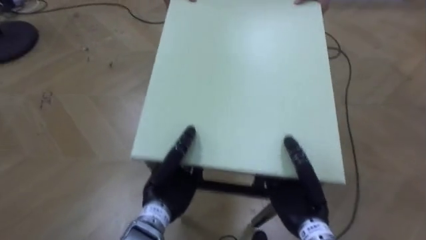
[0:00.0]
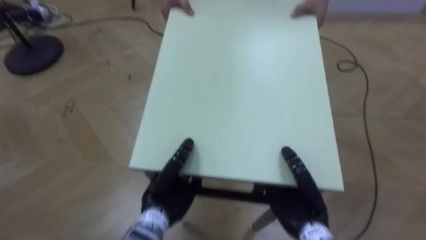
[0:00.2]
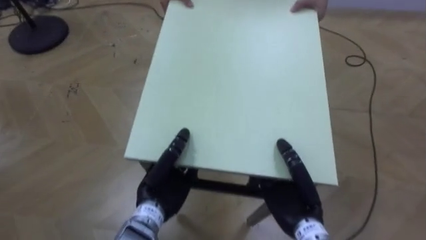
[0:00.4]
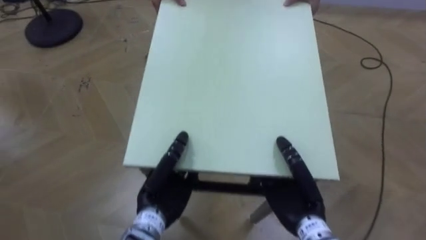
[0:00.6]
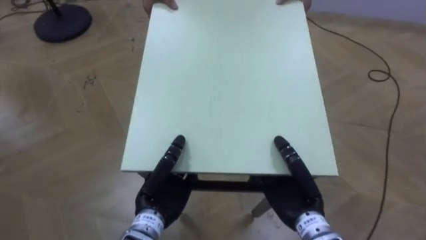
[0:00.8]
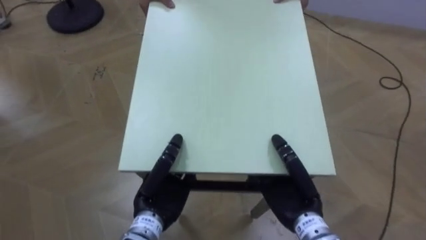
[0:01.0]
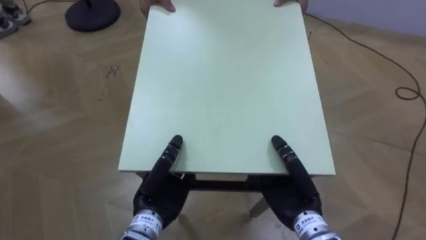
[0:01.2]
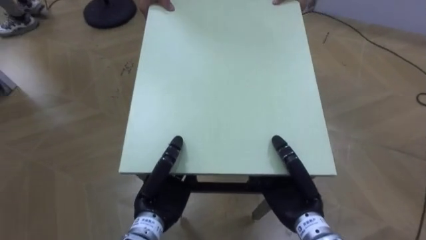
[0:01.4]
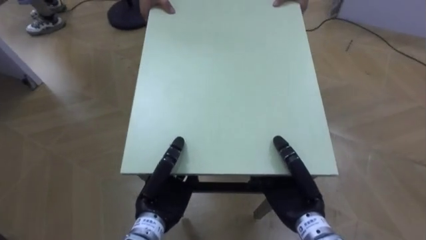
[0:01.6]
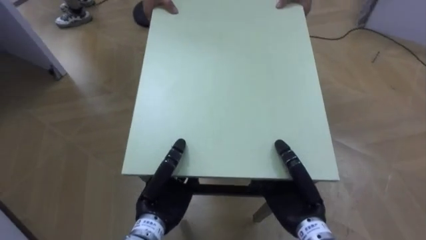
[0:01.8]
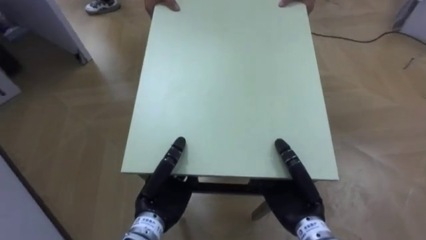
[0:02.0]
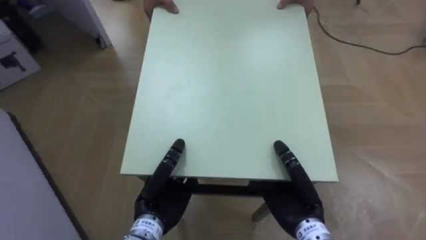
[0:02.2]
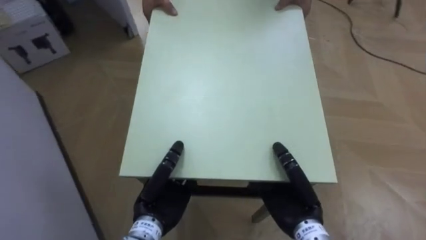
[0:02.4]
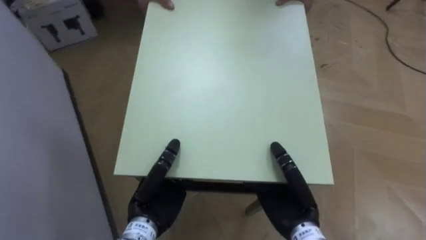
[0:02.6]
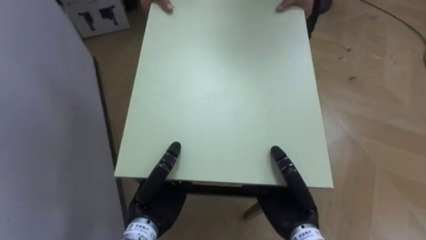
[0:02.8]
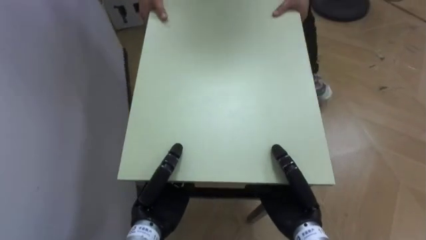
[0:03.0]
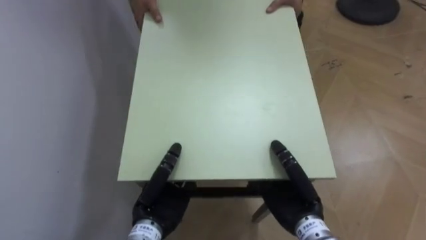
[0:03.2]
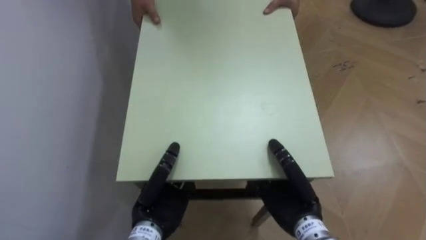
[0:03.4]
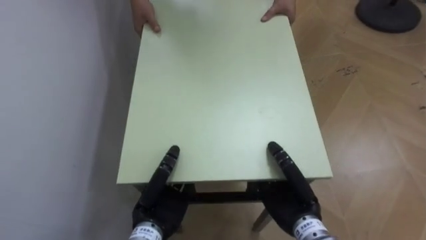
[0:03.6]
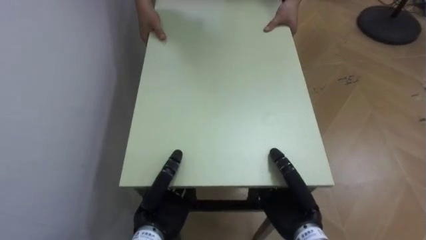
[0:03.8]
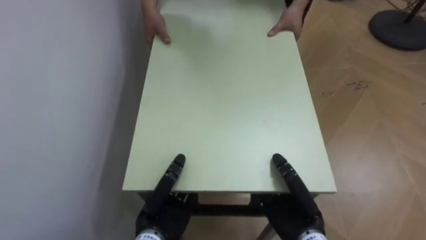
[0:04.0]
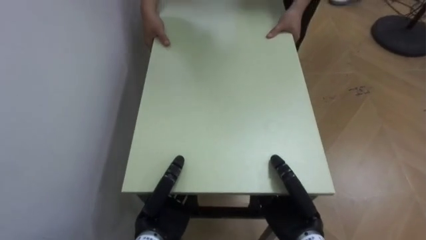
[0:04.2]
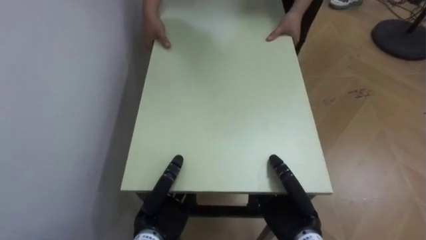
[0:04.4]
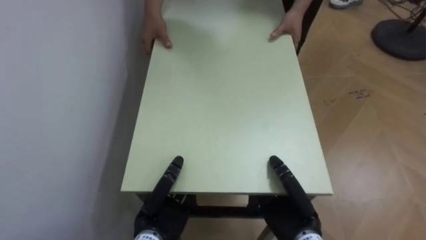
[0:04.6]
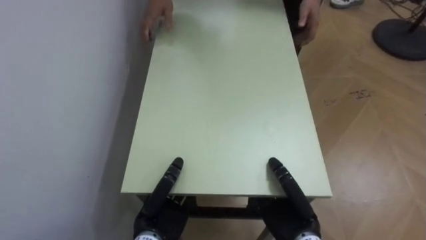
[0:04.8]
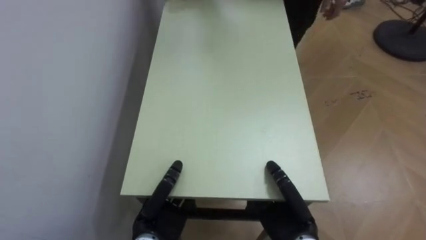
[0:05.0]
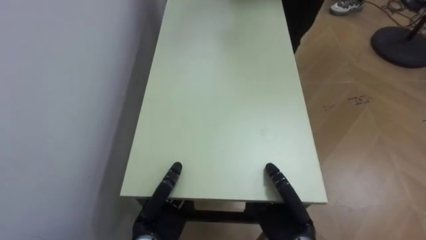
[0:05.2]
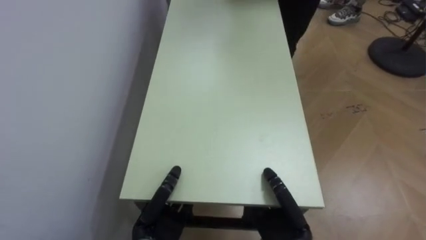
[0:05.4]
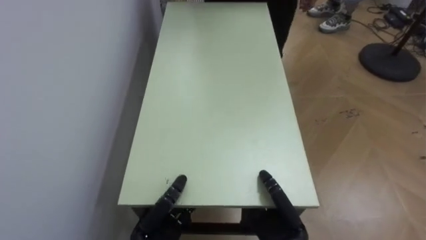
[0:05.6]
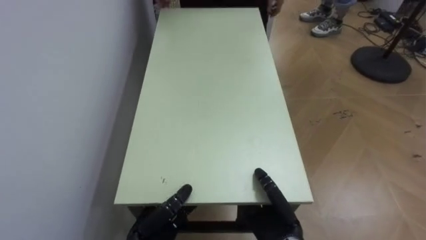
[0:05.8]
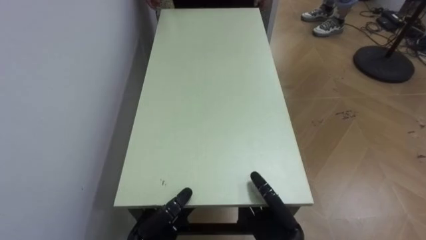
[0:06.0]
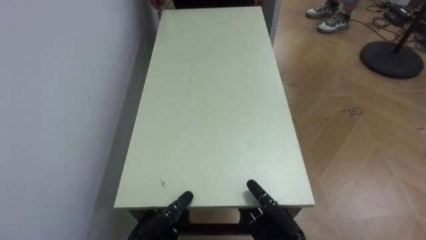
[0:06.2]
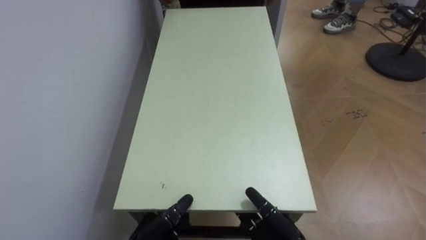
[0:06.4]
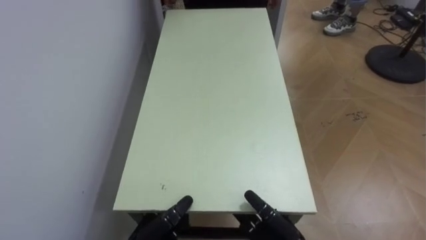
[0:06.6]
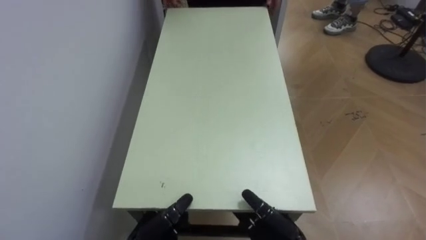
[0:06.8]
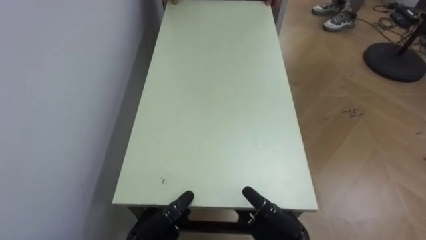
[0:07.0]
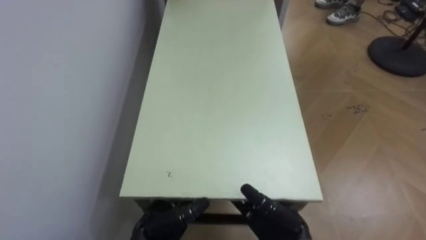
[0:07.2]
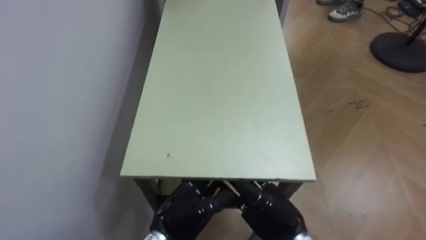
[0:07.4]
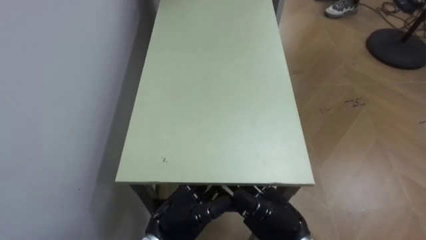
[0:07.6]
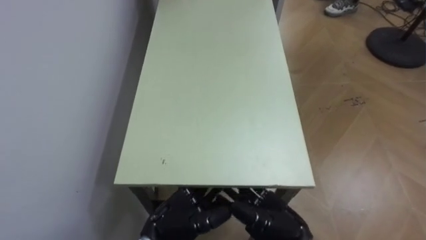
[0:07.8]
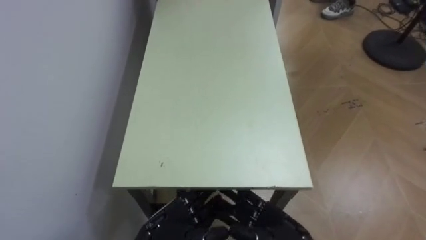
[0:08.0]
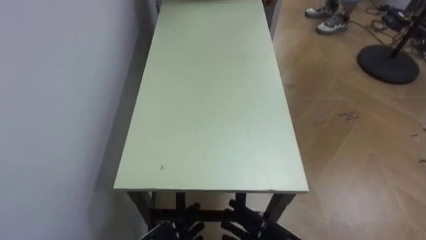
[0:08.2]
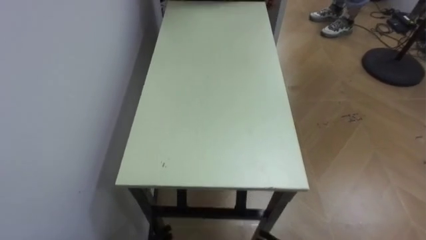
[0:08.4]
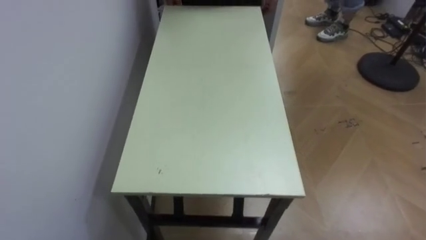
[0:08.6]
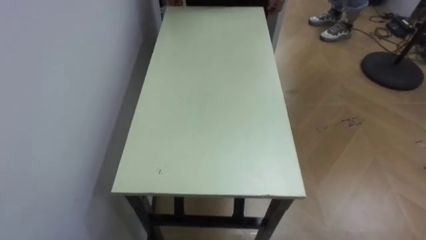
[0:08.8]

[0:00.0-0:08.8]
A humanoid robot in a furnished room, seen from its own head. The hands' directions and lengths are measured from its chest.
Task of the whole recording: Move the table to the back left with someone.
0:01.4 to 0:03.0: The robot turns to its left by about 50 degrees.
0:03.0 to 0:04.4: The robot rotates approximately 15 degrees to its left.
0:04.4 to 0:05.8: The left hand moves downward, approximately 5 cm, and opens.
0:05.8 to 0:07.4: The right hand opens its fingers; the left hand travels upward and to the right by about 10 cm, and opens its fingers.

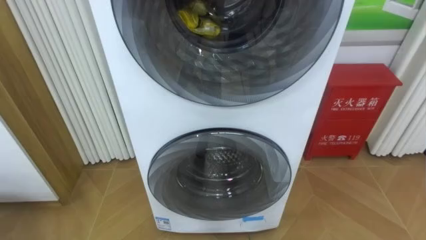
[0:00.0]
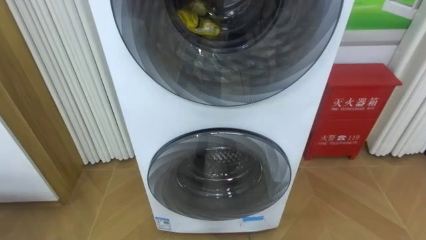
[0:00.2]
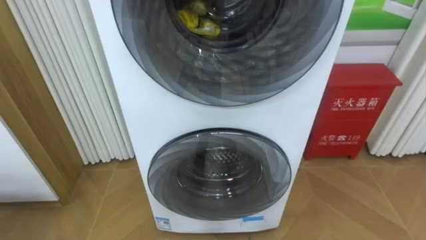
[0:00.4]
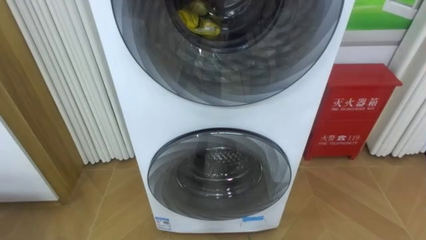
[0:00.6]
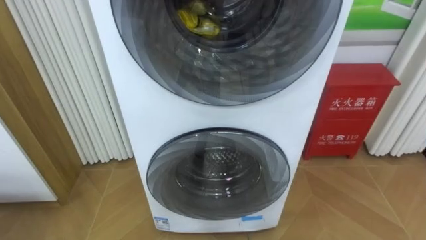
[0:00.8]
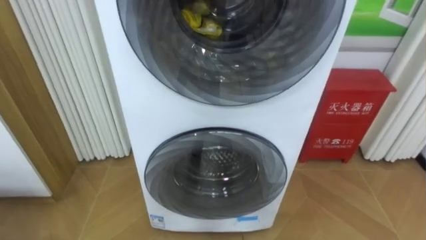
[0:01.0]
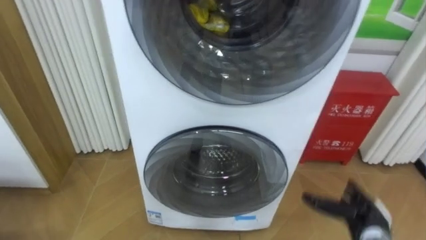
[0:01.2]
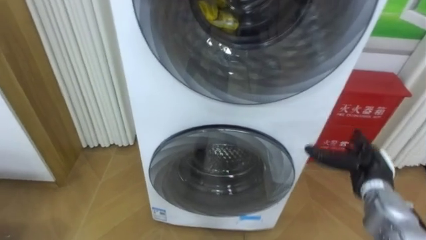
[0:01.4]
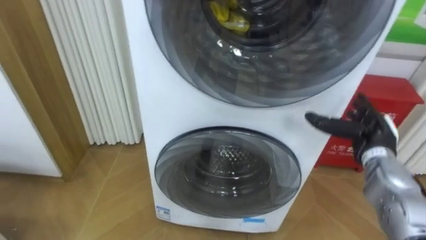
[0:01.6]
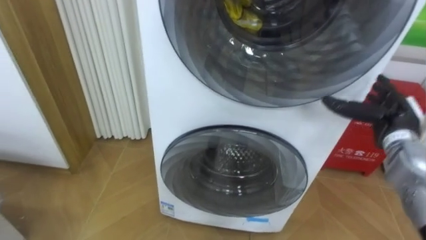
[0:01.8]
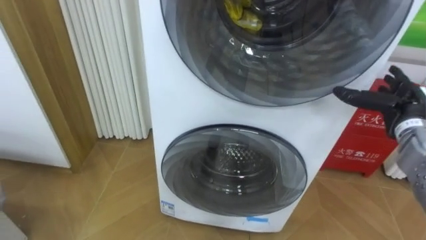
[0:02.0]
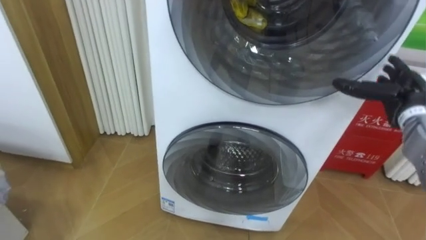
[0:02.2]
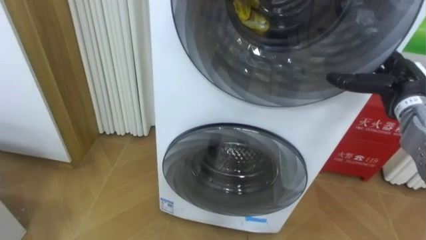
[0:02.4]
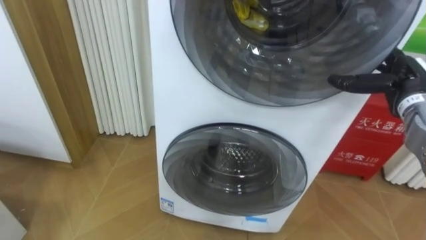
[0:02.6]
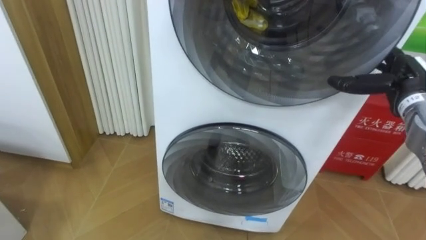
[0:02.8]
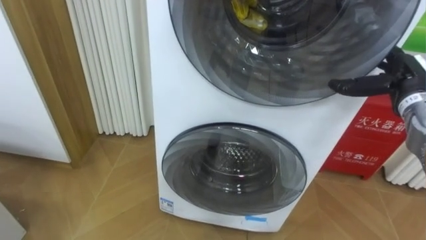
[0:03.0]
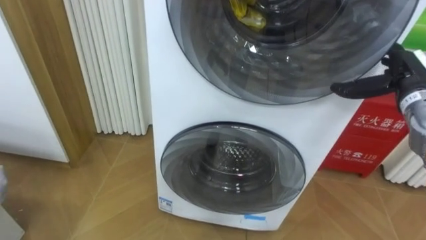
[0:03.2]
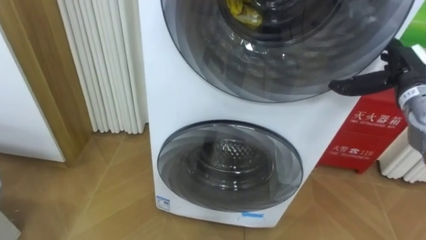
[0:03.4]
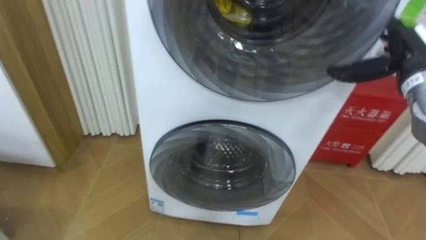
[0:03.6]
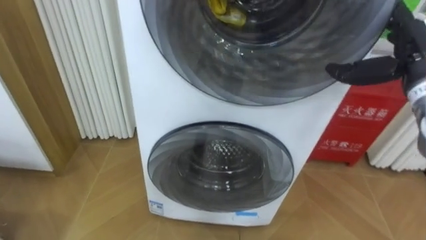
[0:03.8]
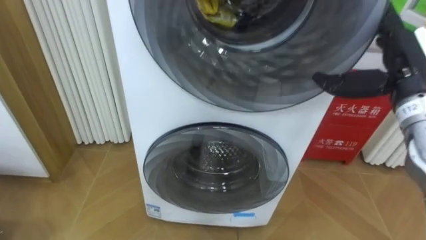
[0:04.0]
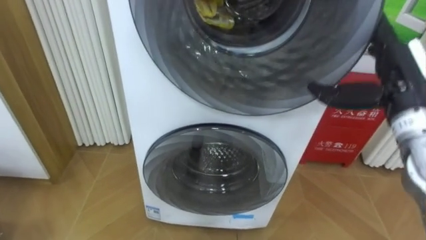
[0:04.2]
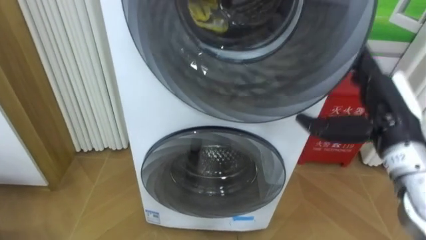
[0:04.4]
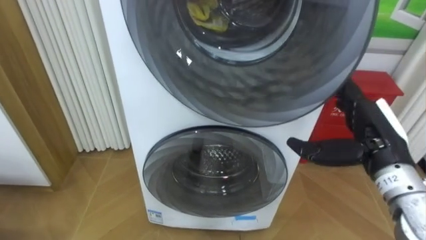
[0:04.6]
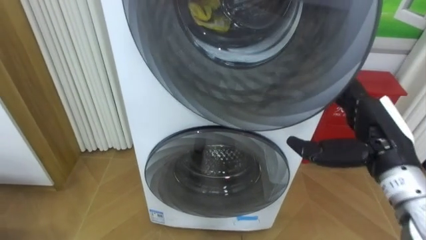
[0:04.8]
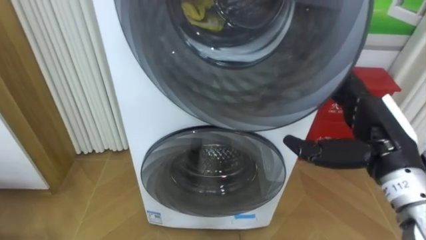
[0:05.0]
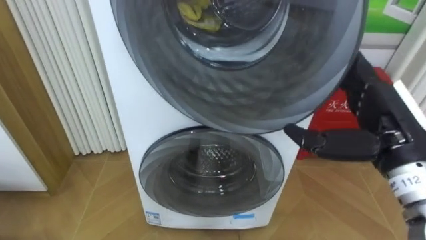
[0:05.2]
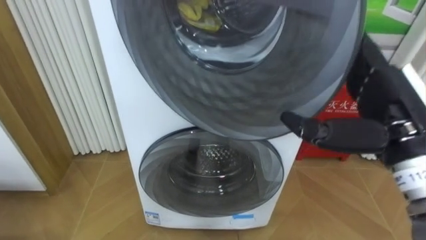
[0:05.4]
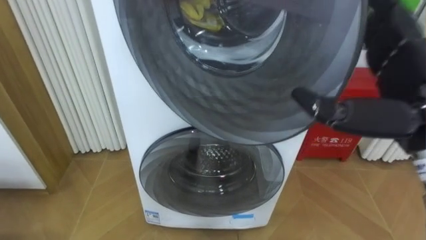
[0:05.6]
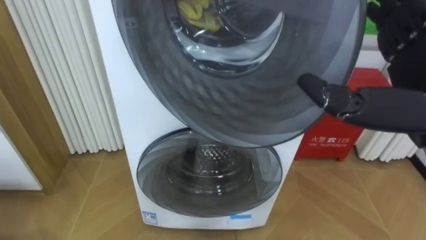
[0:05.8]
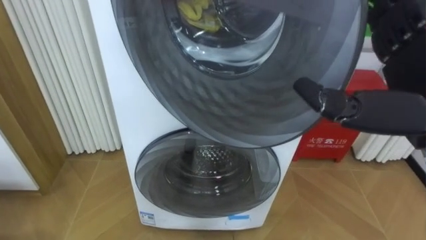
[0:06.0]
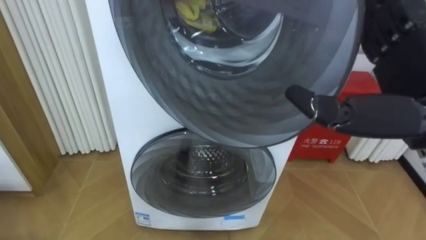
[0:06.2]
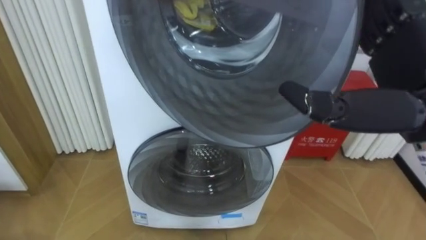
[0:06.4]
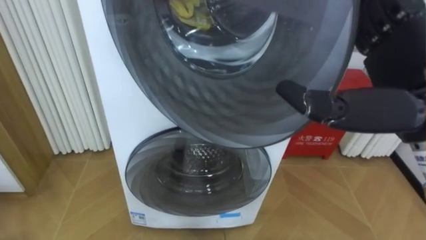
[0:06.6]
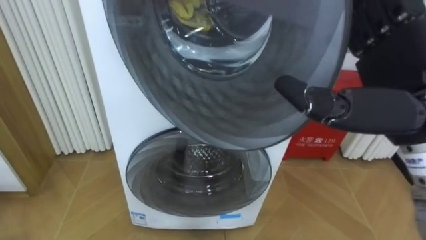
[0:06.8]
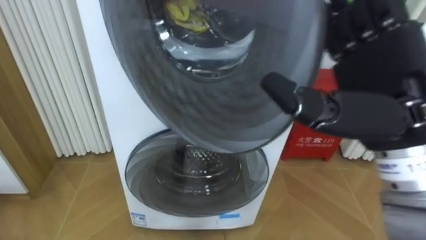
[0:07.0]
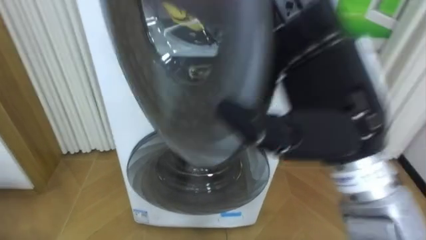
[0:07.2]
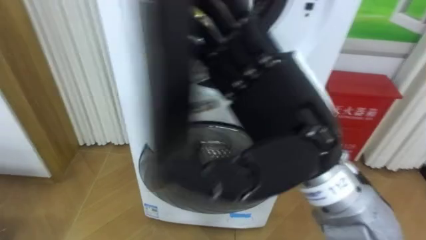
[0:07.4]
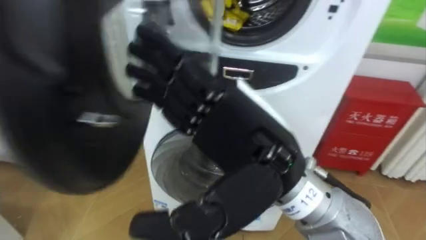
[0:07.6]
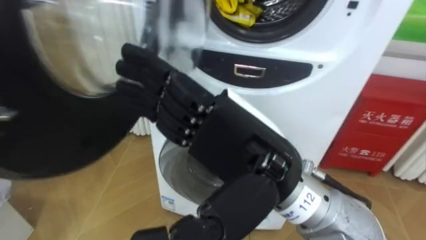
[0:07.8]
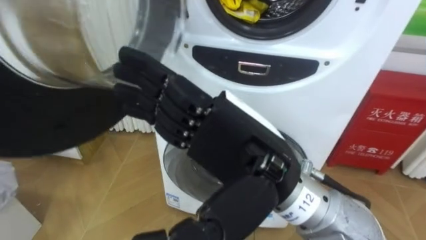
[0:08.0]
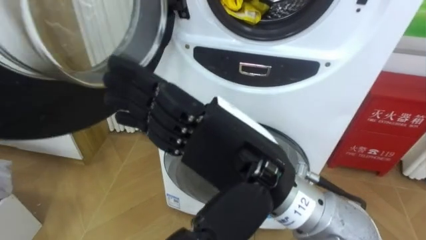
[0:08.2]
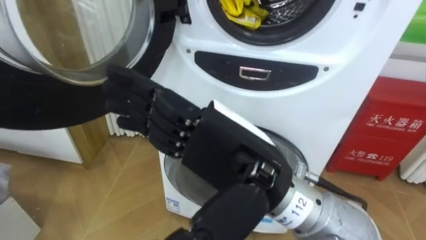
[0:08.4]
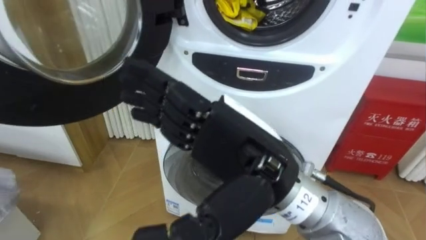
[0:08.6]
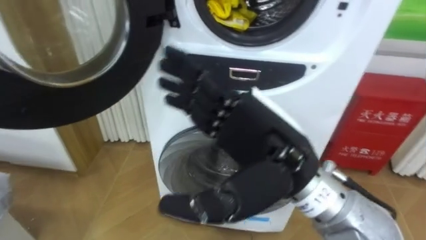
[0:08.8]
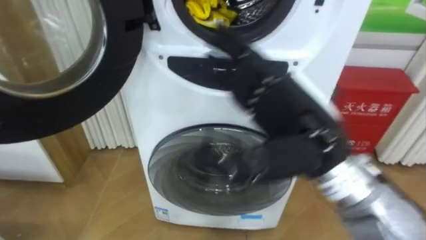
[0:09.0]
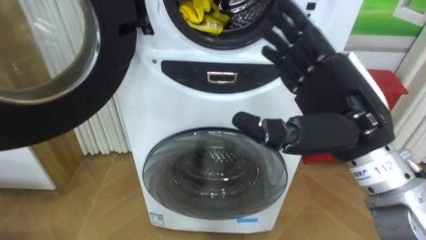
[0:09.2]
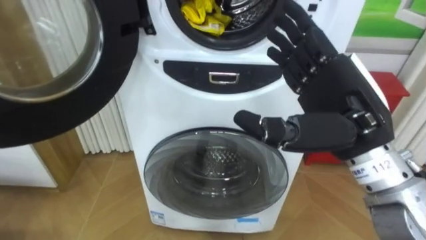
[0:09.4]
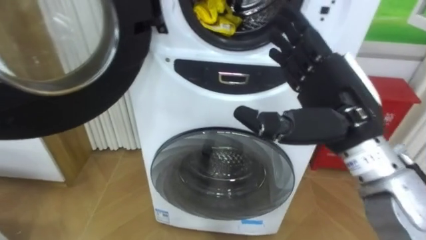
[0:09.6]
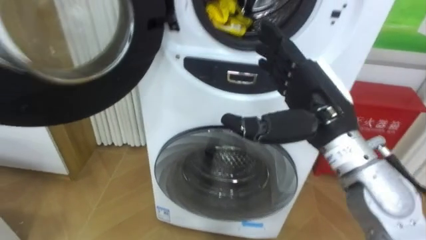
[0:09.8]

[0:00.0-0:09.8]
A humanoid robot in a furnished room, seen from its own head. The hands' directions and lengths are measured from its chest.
Task of the whole recording: Open the washing machine door, take out the yellow clothes, place them in the box on the right, and close the washing machine door.
0:01.4 to 0:02.8: The right hand heads upward and forward, covering some 20 cm.
0:02.8 to 0:04.2: The right hand is displaced backward and to the left by about 10 cm.
0:04.2 to 0:05.6: The right hand goes approximately 10 cm backward.
0:05.6 to 0:07.0: The right hand heads to the left, covering some 5 cm.
0:07.0 to 0:08.4: The right hand goes some 15 cm to the left.
0:08.4 to 0:09.8: The right hand moves to the right and forward, approximately 15 cm.
